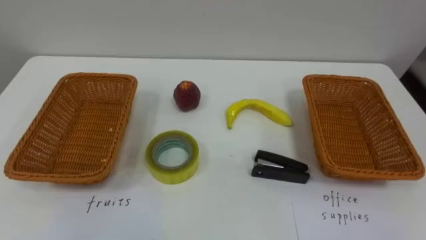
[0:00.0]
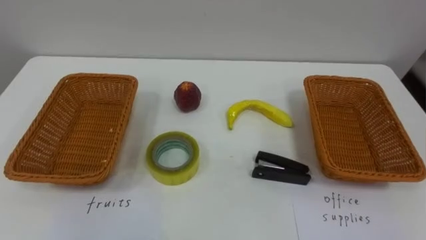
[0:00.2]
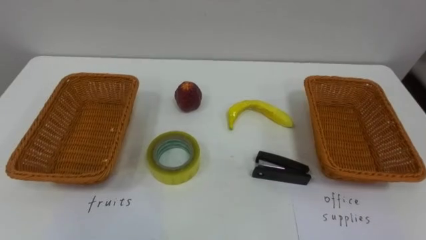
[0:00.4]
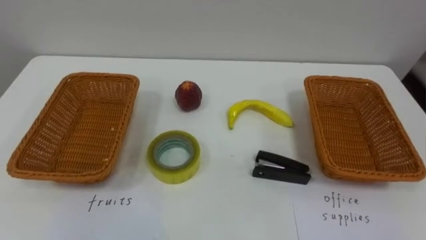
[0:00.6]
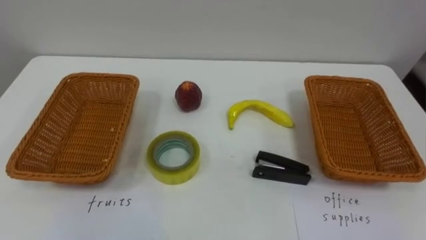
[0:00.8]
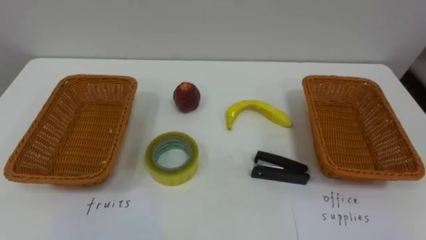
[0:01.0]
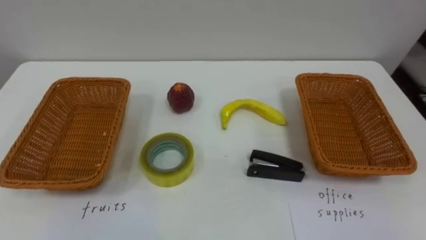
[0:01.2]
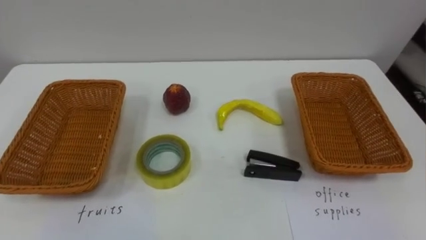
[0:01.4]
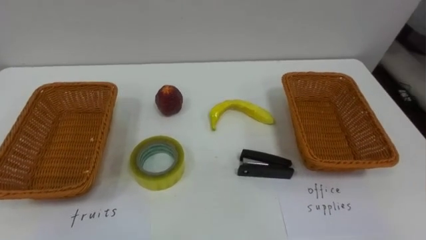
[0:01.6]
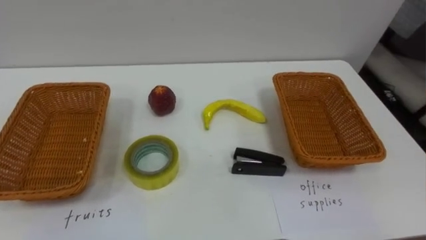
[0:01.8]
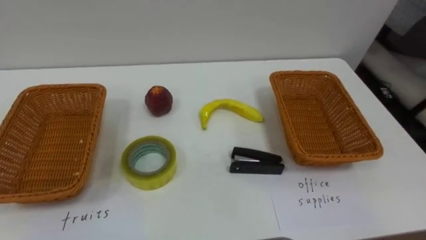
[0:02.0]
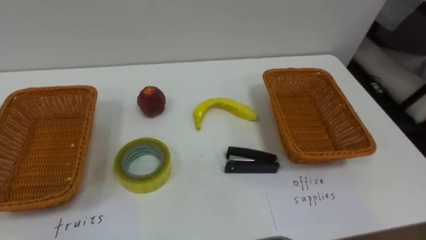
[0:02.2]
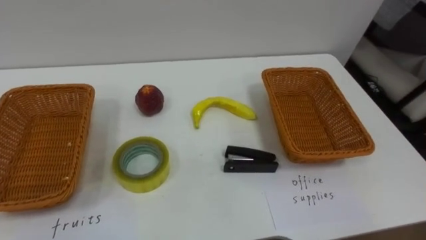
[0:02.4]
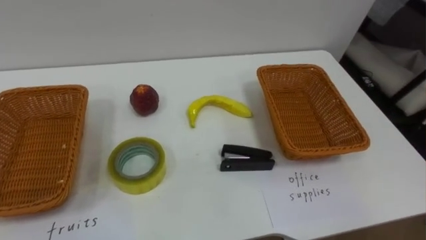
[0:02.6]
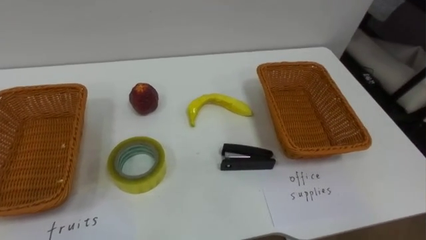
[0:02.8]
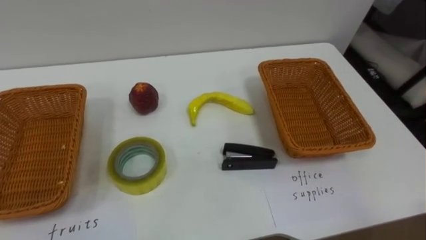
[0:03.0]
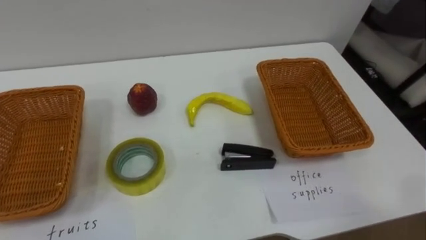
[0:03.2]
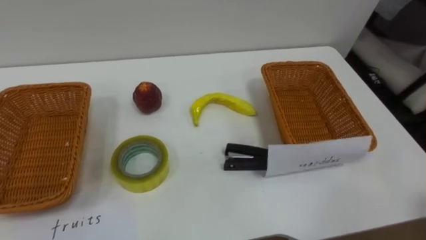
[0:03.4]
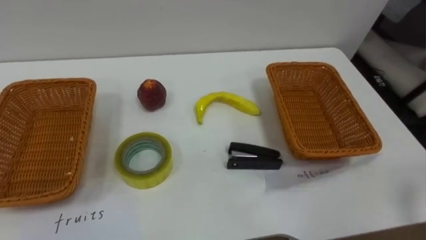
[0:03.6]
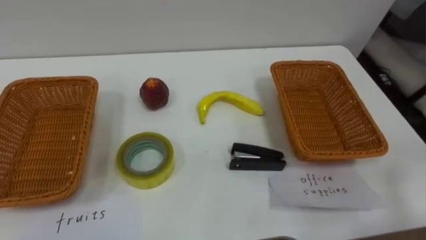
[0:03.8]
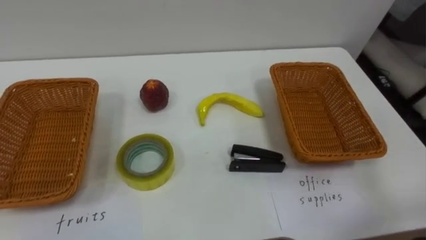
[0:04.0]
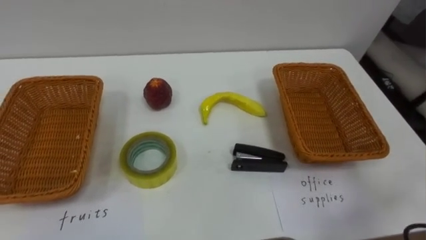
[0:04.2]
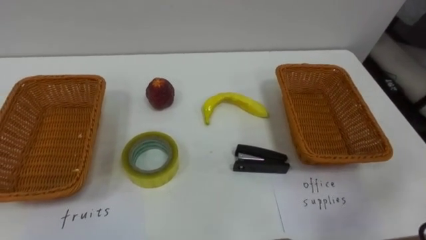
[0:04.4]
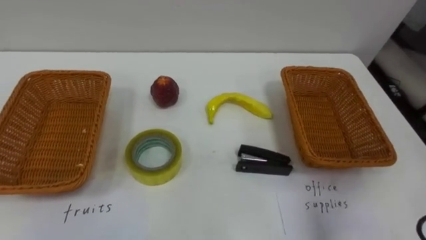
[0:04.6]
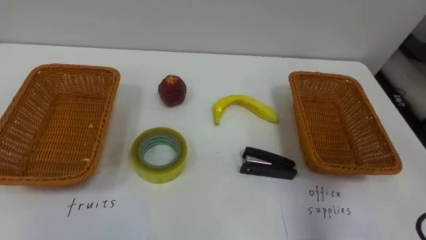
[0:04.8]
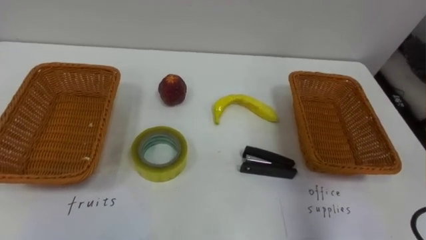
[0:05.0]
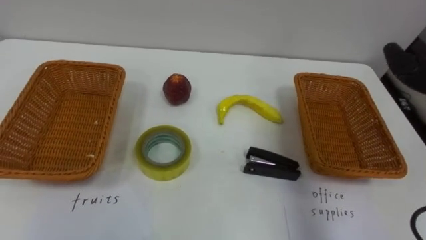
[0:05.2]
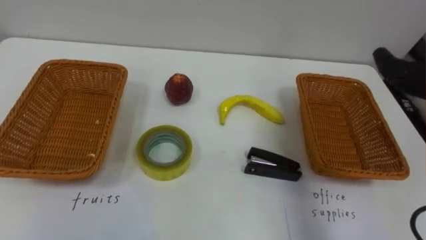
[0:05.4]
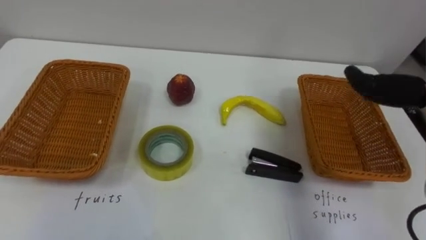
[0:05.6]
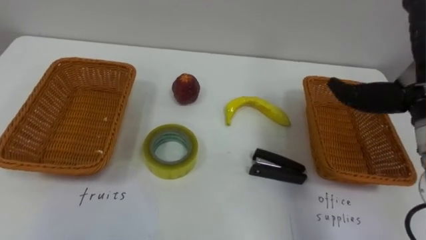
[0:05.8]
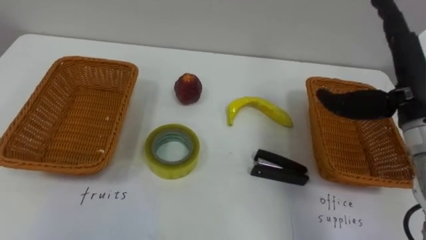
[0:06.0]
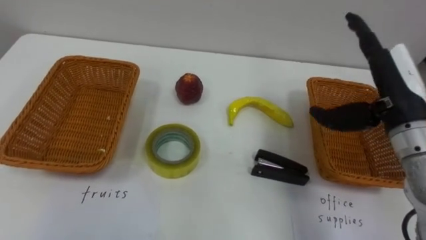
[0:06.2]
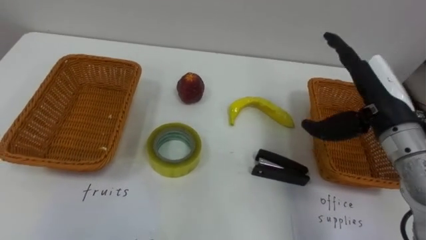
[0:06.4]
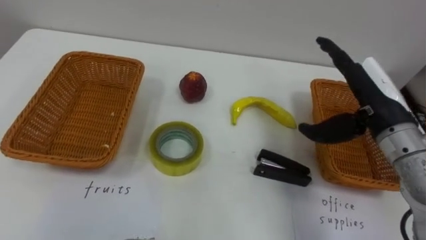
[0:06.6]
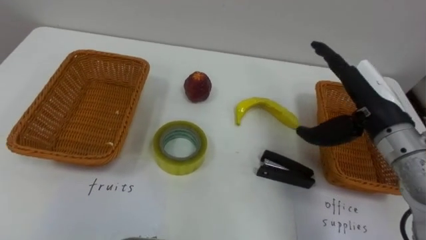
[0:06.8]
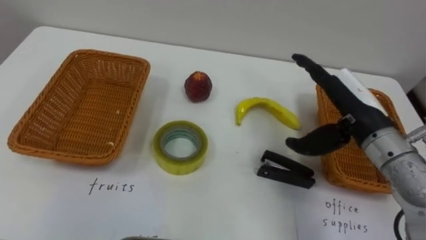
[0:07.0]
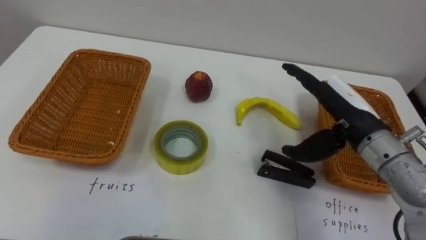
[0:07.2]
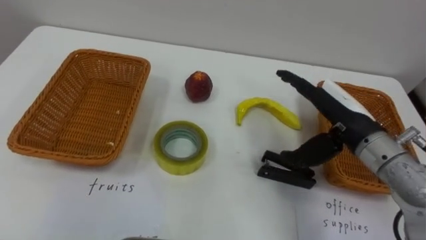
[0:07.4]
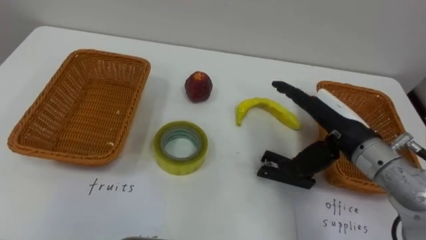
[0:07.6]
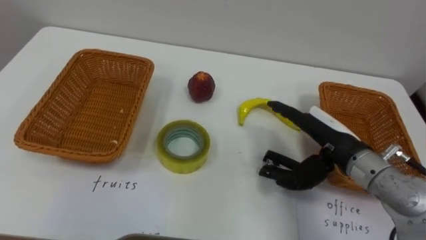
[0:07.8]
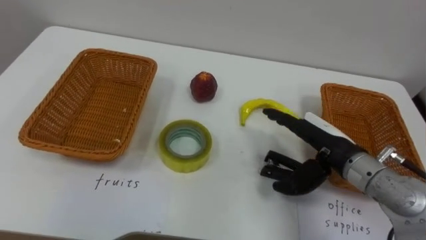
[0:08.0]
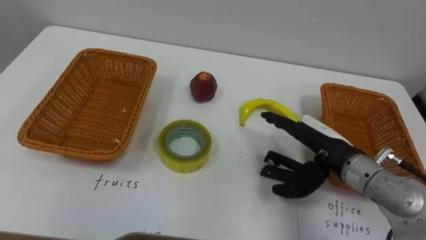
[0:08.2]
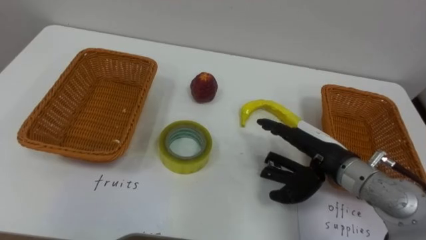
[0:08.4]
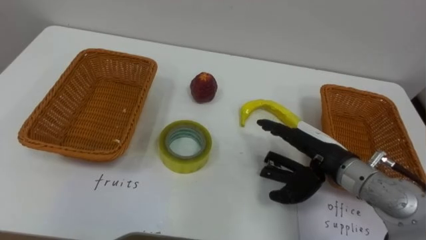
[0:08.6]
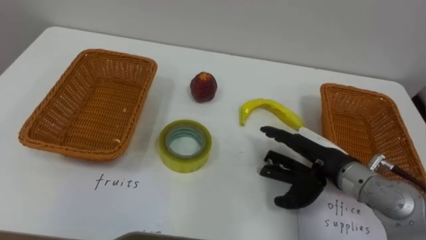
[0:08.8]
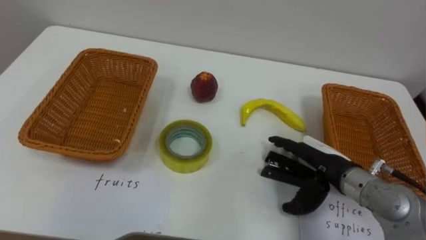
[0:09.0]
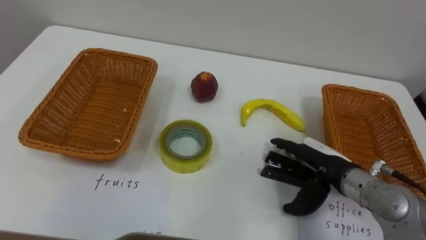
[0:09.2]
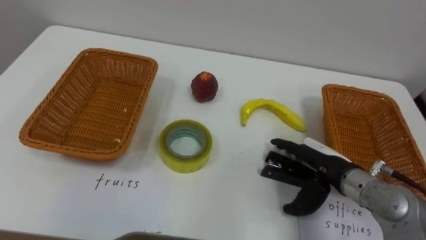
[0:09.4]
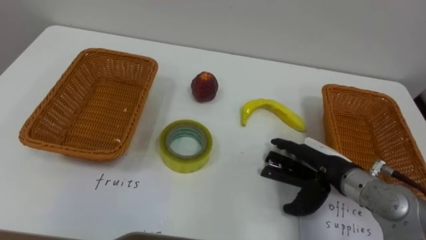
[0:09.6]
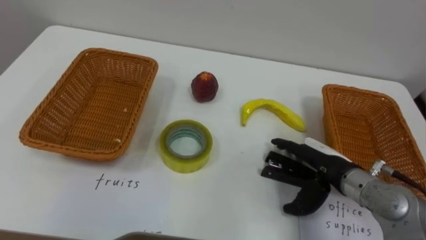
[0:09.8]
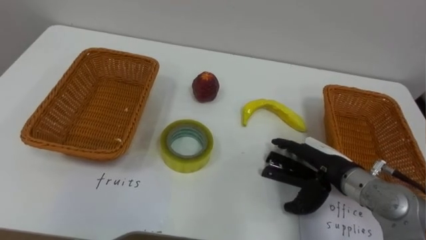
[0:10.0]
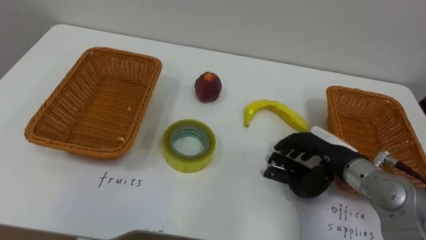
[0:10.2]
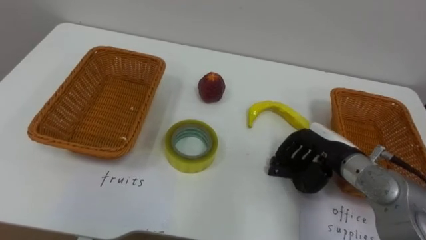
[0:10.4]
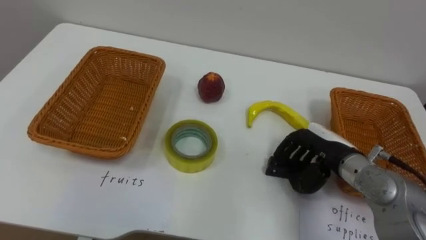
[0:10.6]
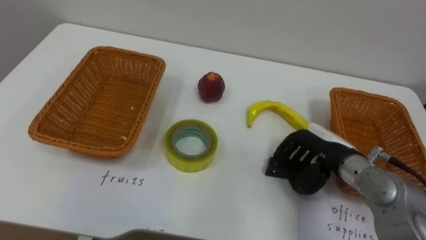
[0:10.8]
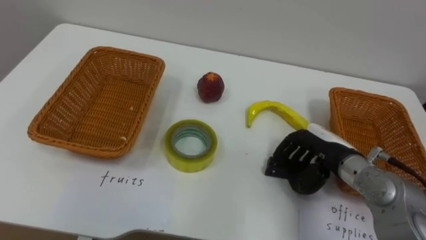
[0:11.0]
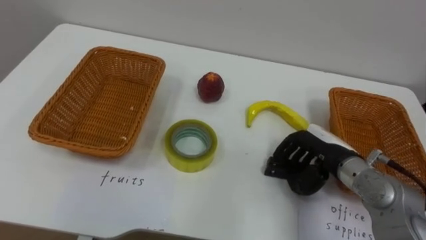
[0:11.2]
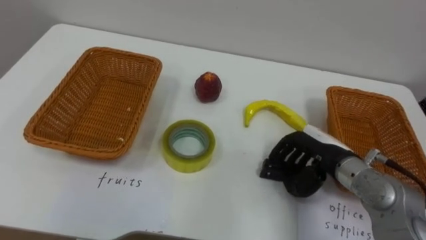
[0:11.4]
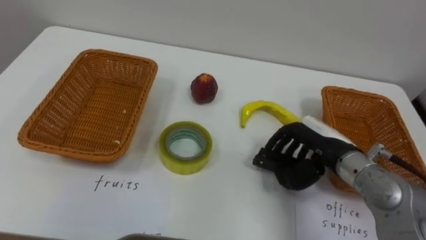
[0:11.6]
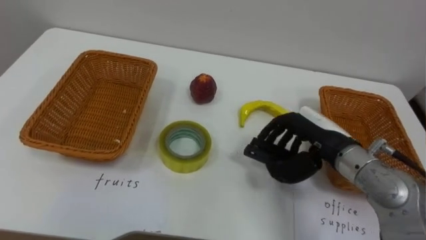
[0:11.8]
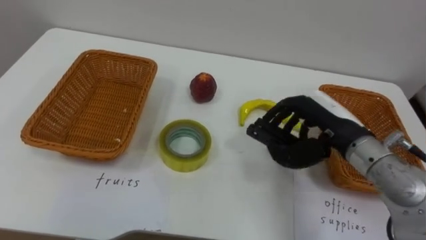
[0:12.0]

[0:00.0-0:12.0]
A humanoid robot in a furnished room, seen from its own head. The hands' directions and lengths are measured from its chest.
Task of the whole recording: Separate the items on the table and place them into the two baskets.
0:06.0 to 0:07.6: The right hand shifts approximately 10 cm downward and to the left.
0:07.6 to 0:09.0: The right hand heads downward, covering roughly 10 cm.
0:09.0 to 0:10.4: The right hand closes its fingers.
0:10.4 to 0:12.0: The right hand shifts roughly 10 cm upward.

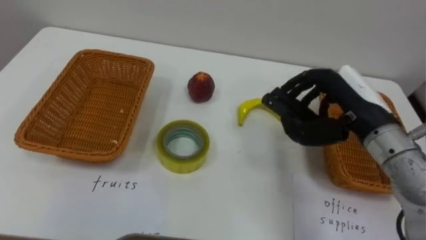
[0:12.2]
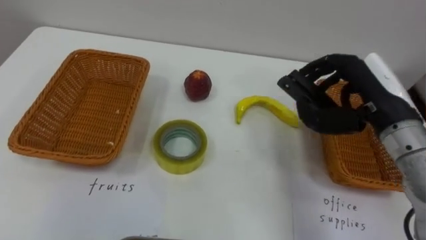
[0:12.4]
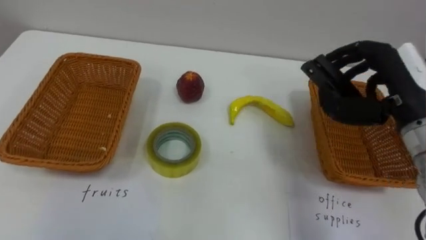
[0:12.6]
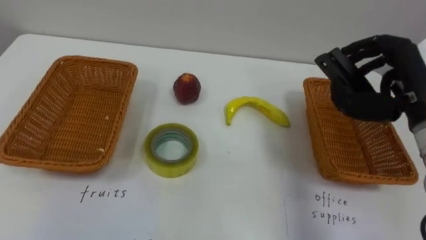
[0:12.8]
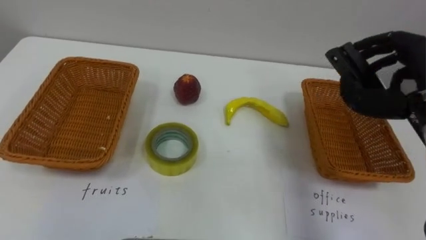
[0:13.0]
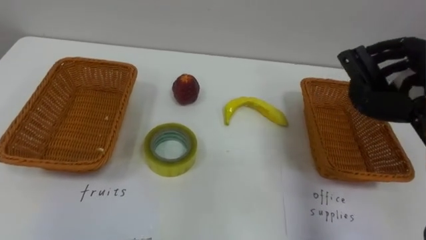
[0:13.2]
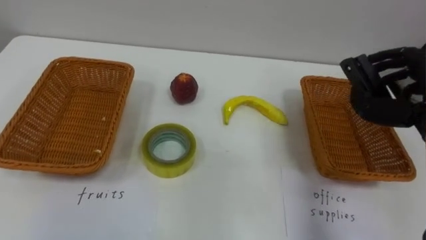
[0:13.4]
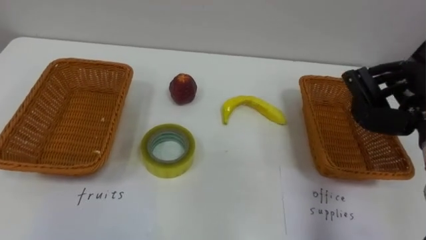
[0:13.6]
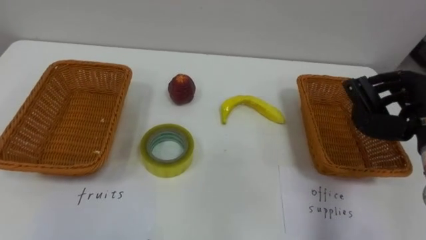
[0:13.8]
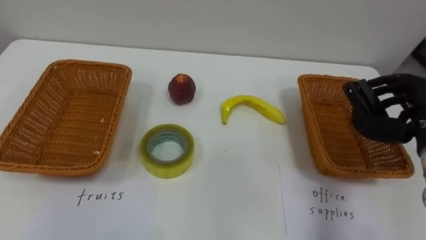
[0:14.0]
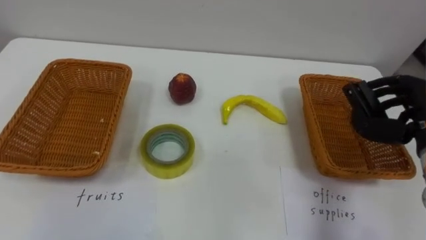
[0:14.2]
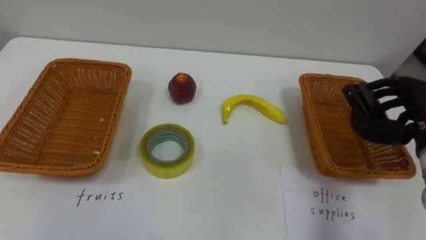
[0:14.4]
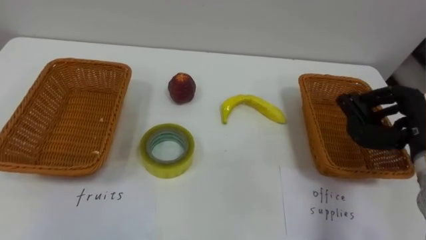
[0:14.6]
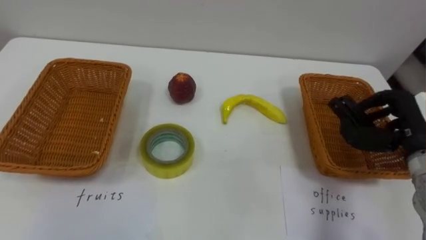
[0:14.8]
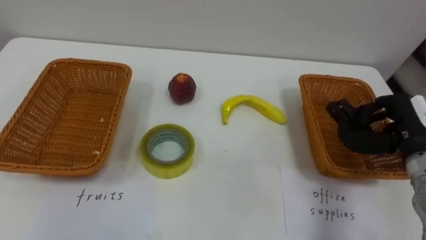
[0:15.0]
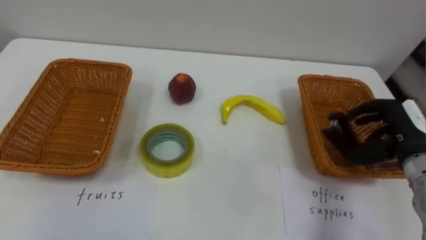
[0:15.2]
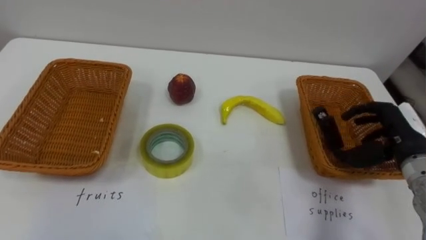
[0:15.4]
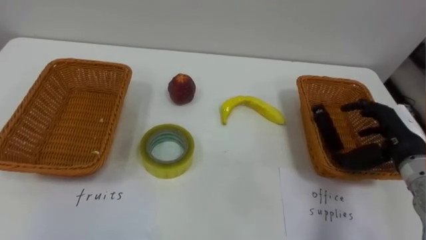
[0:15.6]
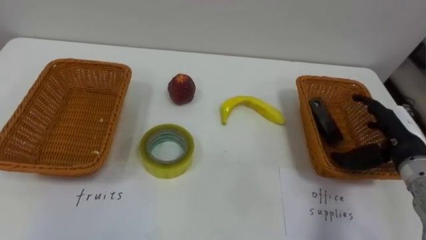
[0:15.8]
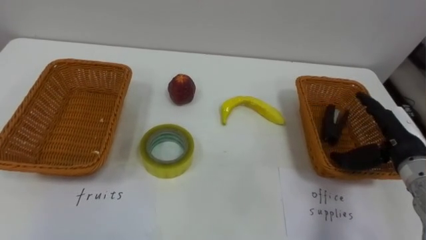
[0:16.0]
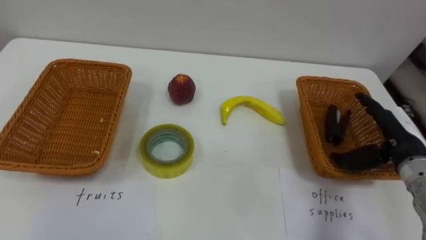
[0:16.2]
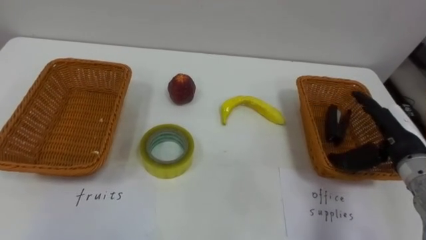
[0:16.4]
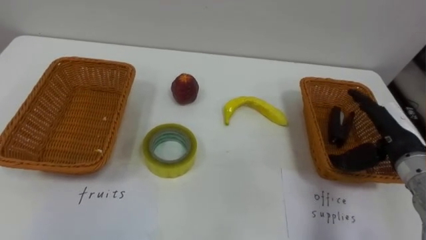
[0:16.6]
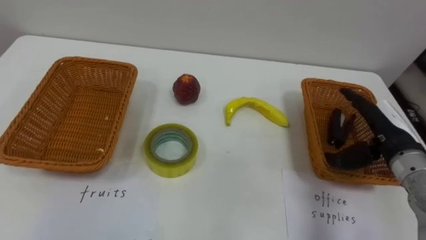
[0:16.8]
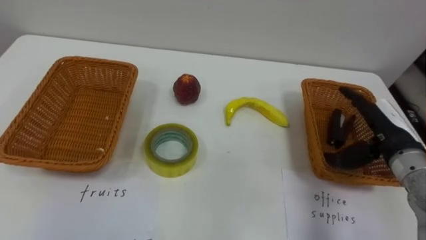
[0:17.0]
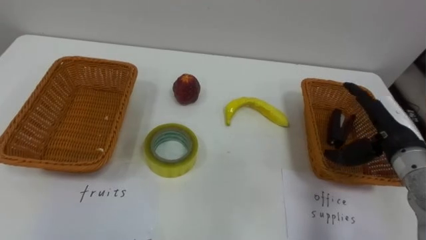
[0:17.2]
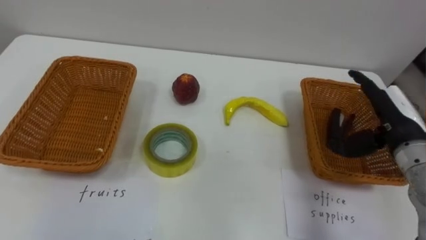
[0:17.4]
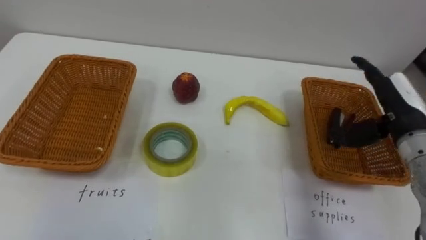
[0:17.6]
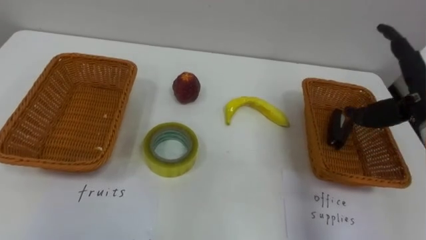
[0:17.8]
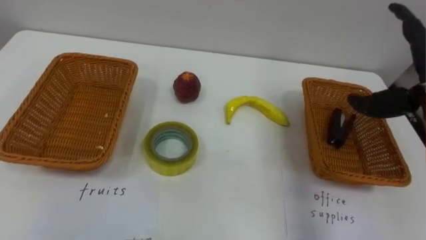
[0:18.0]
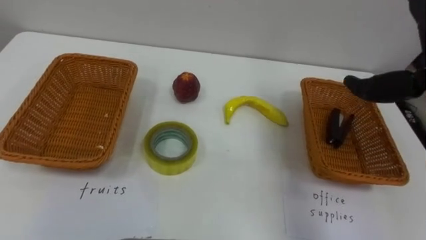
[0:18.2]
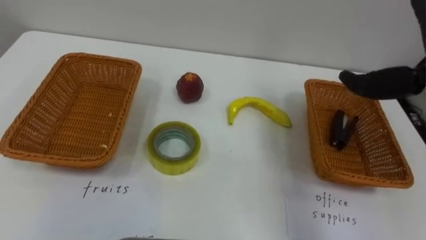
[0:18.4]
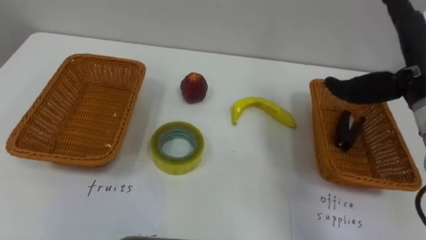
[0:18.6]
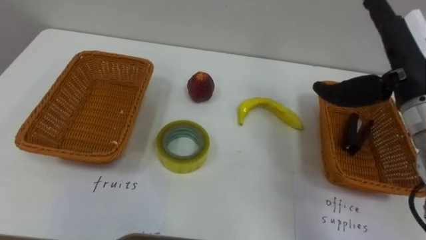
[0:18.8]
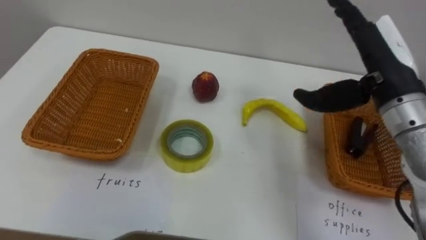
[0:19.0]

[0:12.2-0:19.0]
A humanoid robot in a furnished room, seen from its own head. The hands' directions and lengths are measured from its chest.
Task of the whole recording: Separate the items on the table and place them into the two baskets.
0:15.0 to 0:16.2: The right hand opens up.
0:16.2 to 0:17.6: The right hand is displaced upward by about 5 cm.
